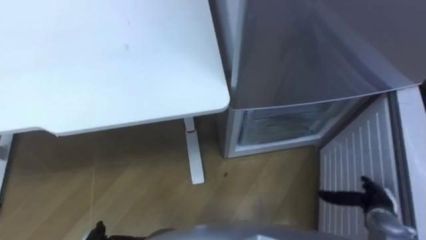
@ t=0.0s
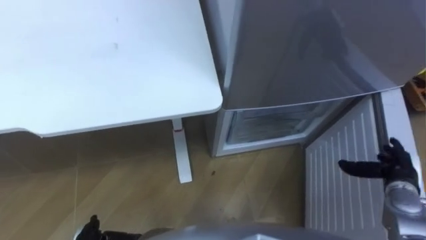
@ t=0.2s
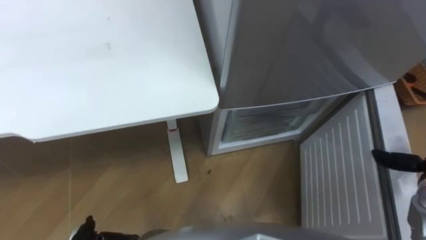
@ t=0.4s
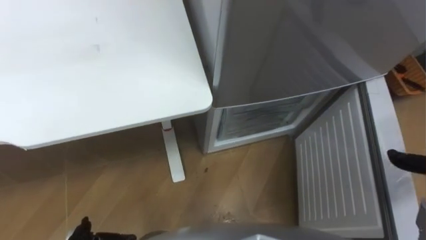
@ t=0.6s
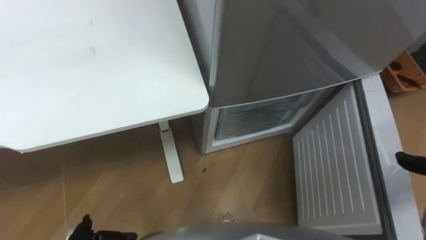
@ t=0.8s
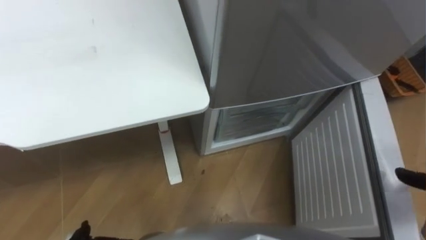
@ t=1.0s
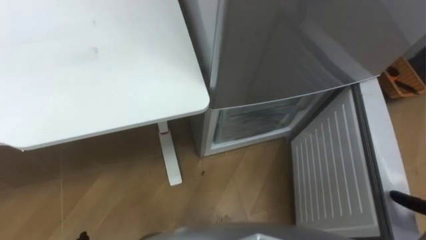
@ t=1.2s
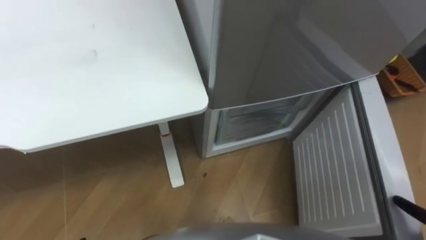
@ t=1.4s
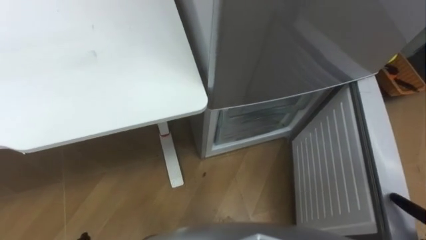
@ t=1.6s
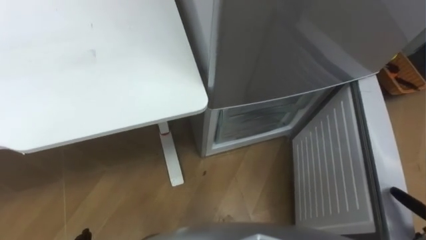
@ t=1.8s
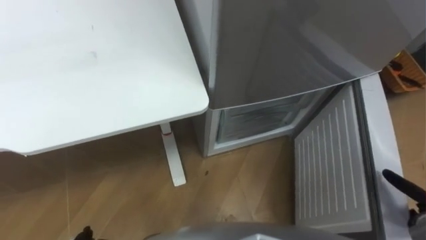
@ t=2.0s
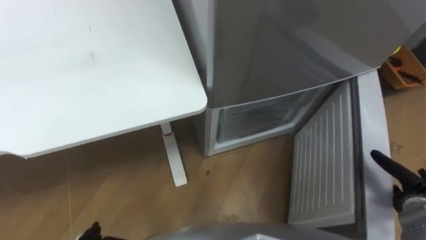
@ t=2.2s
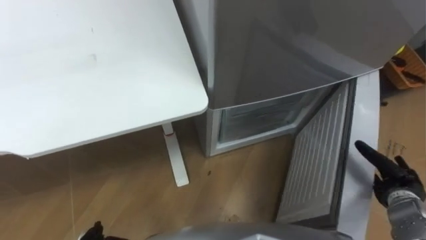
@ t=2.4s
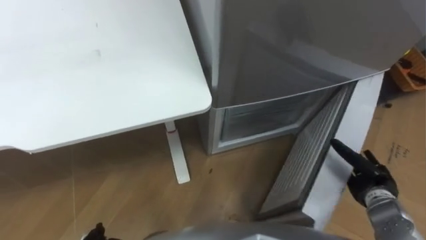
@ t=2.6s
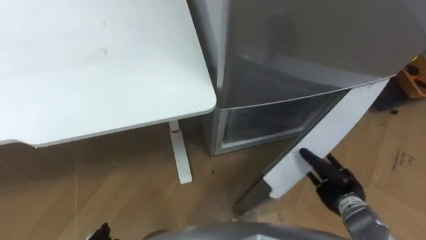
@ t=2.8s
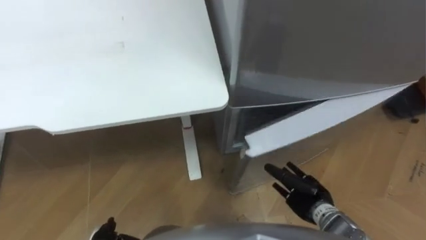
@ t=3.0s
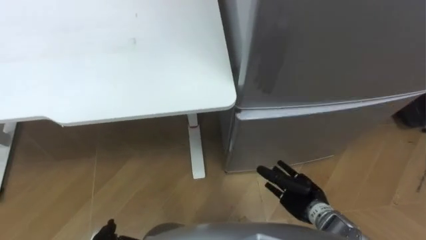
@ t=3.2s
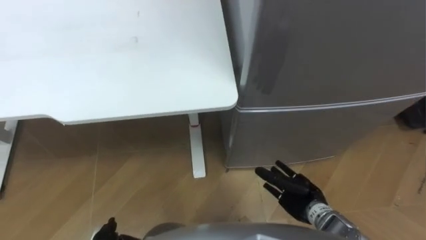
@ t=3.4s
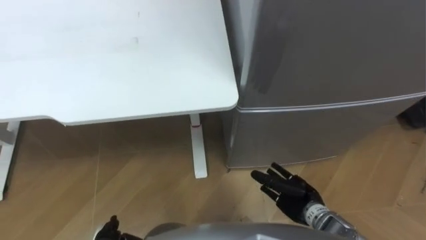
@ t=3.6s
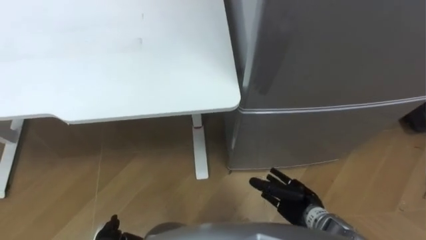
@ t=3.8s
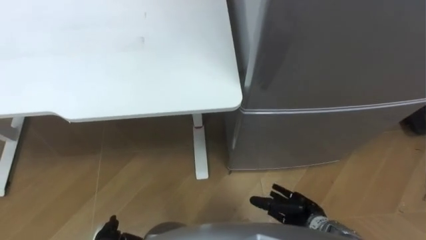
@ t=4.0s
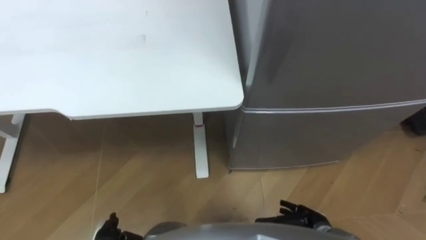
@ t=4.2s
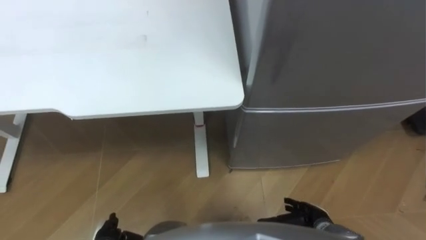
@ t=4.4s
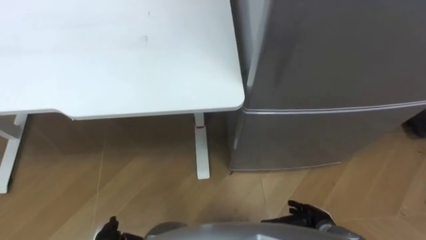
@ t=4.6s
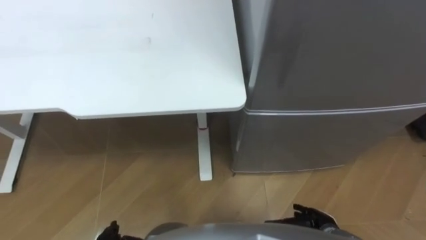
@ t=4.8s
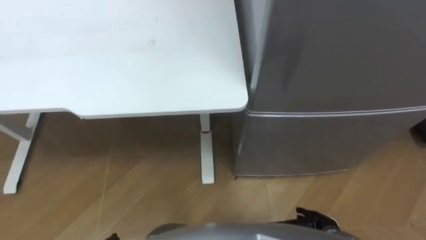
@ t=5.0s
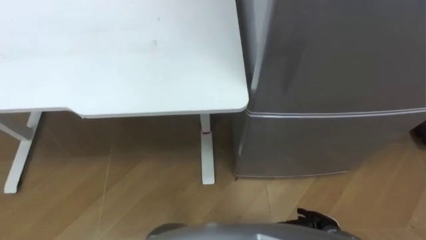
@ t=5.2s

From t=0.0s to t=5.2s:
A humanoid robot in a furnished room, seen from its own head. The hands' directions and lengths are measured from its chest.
Task of the whole recording: Place the drink on the table on the bottom shelf of the refrigerator, then close the drawer and the refrigerator door.
From t=1.8s to t=3.4s: The right hand is displaced to the left by approximately 25 cm.
From t=3.4s to t=5.2s: The right hand shifts approximately 5 cm backward.

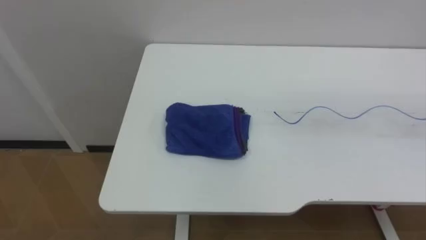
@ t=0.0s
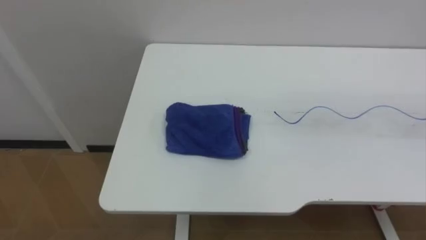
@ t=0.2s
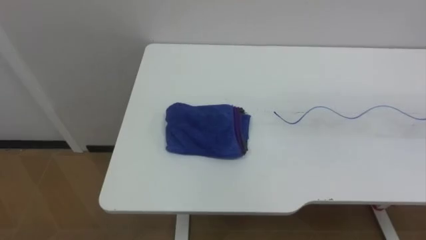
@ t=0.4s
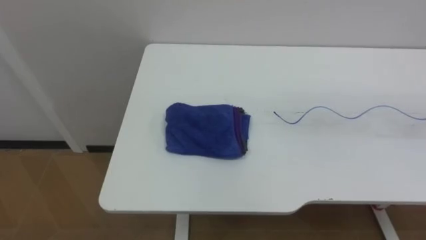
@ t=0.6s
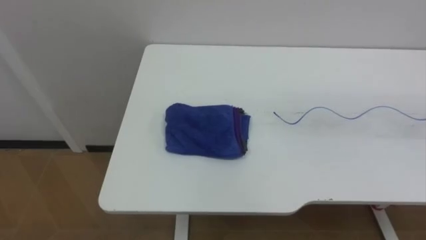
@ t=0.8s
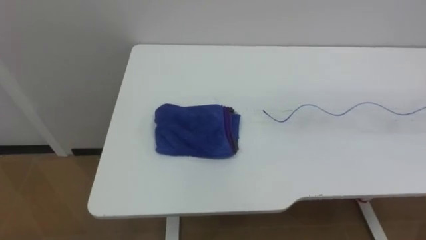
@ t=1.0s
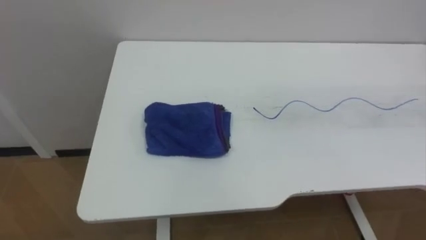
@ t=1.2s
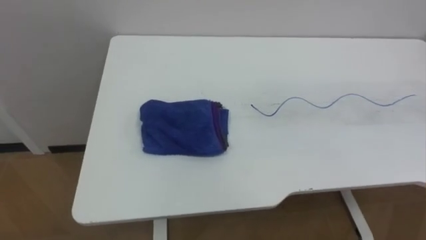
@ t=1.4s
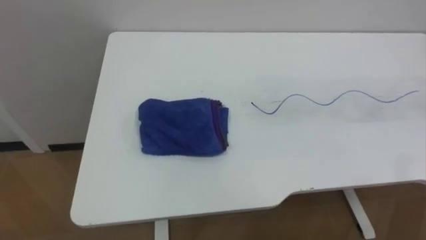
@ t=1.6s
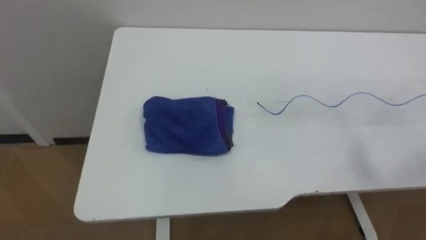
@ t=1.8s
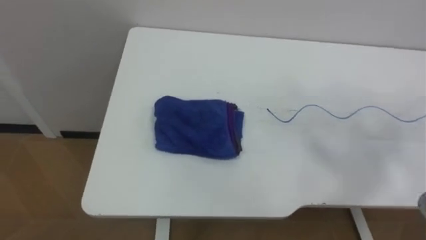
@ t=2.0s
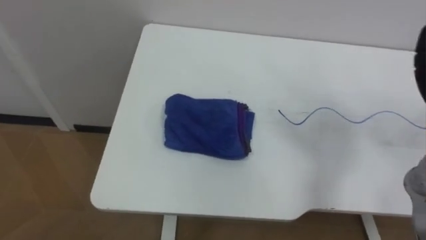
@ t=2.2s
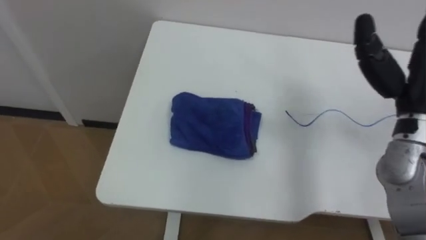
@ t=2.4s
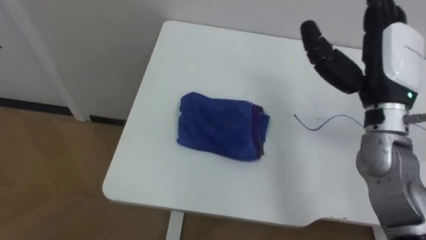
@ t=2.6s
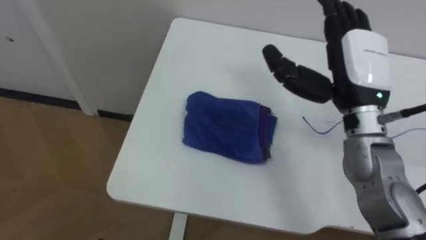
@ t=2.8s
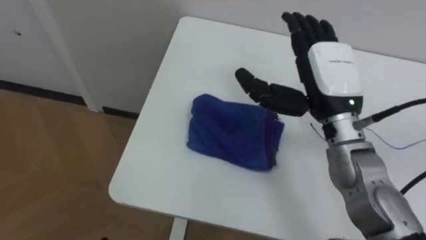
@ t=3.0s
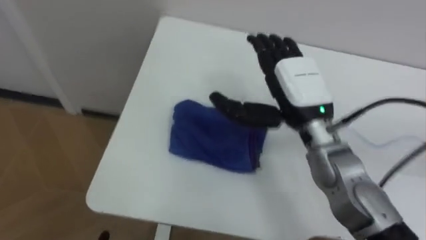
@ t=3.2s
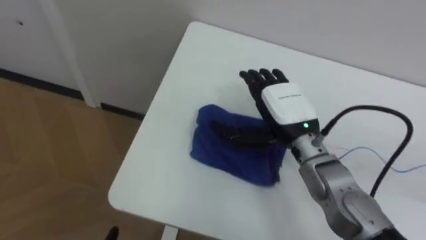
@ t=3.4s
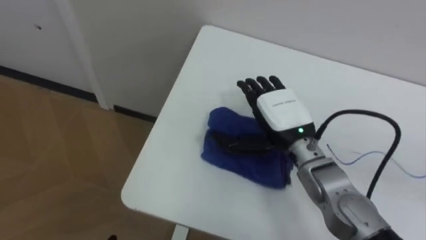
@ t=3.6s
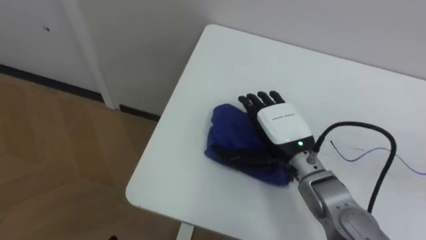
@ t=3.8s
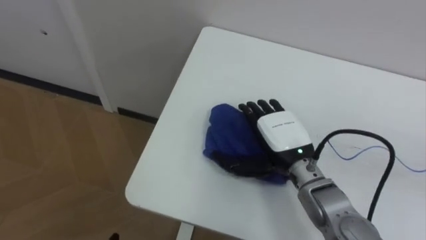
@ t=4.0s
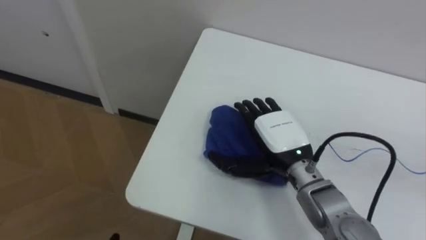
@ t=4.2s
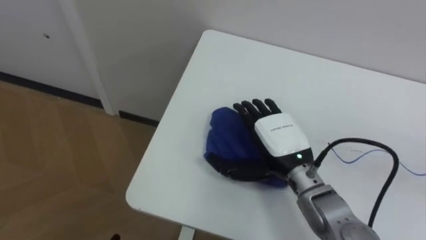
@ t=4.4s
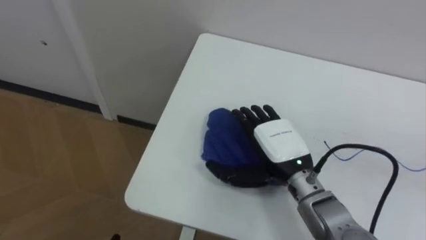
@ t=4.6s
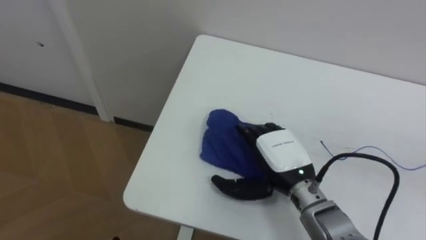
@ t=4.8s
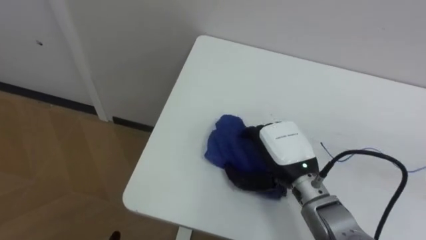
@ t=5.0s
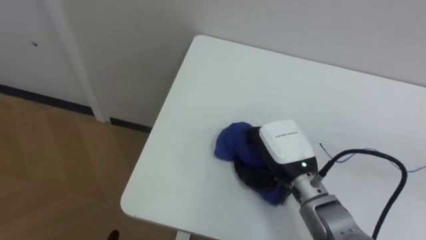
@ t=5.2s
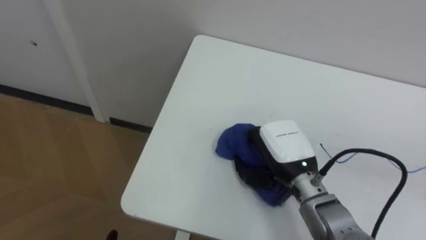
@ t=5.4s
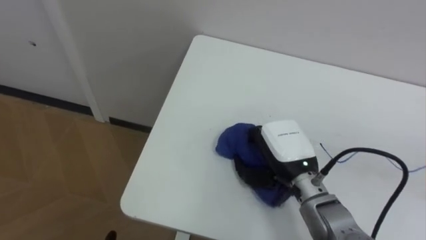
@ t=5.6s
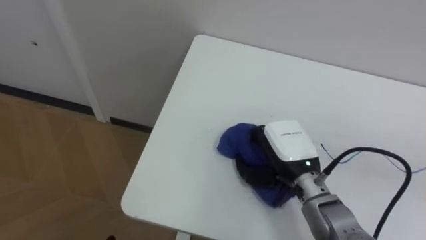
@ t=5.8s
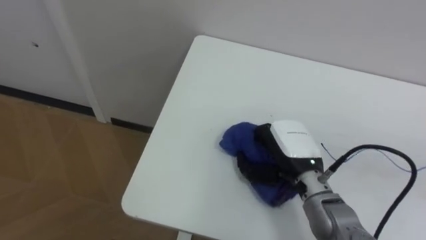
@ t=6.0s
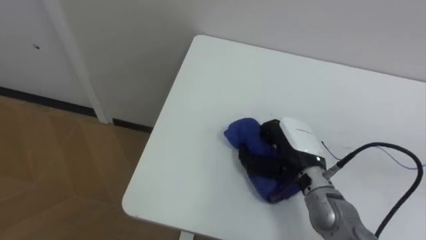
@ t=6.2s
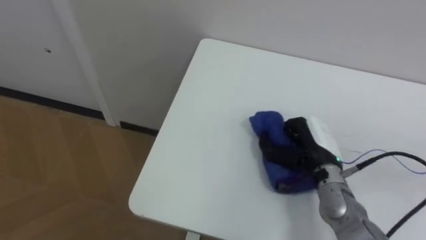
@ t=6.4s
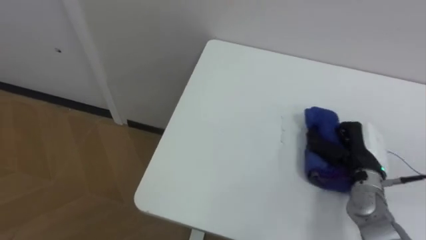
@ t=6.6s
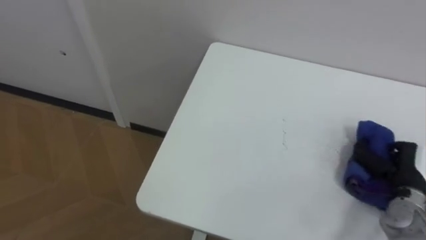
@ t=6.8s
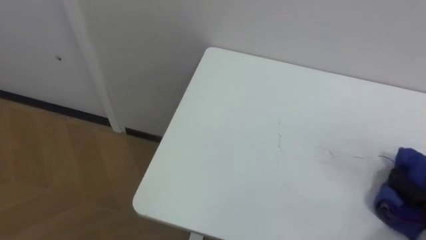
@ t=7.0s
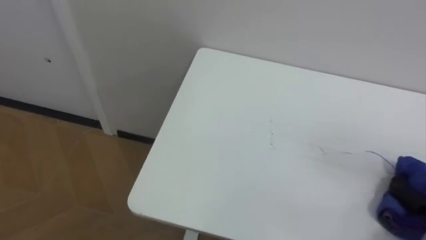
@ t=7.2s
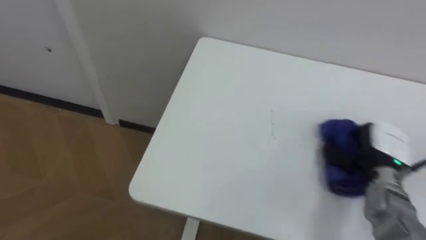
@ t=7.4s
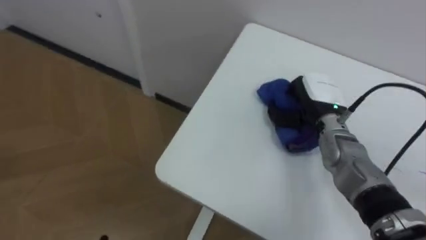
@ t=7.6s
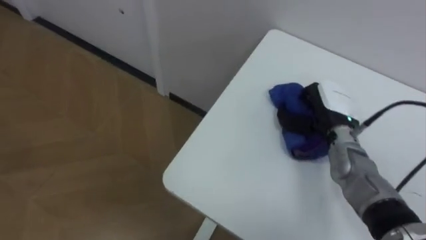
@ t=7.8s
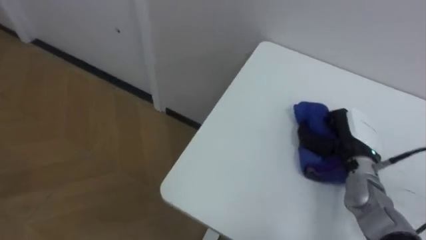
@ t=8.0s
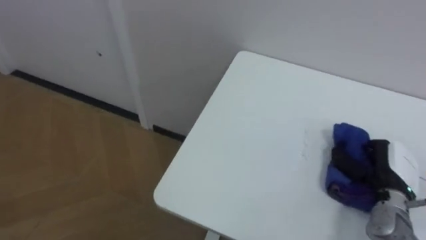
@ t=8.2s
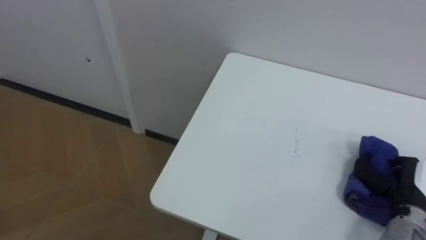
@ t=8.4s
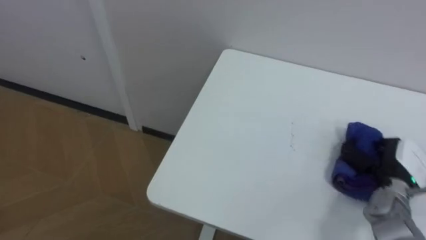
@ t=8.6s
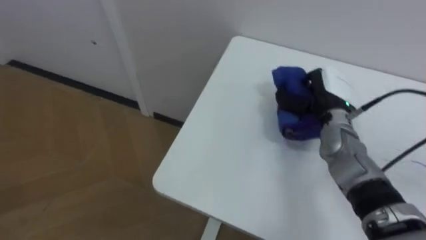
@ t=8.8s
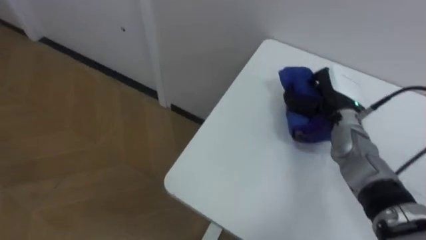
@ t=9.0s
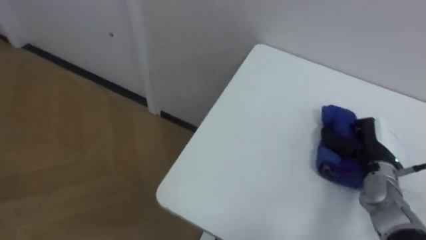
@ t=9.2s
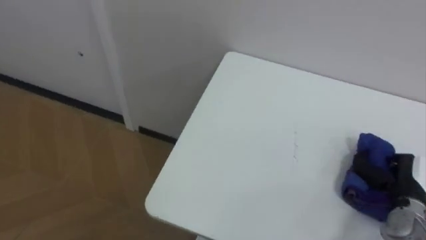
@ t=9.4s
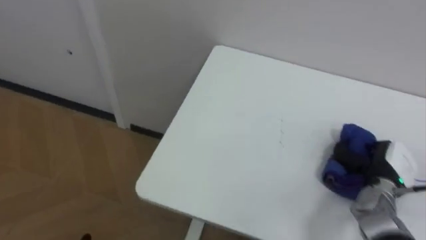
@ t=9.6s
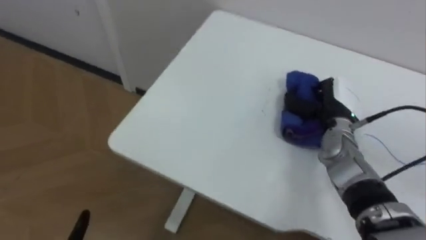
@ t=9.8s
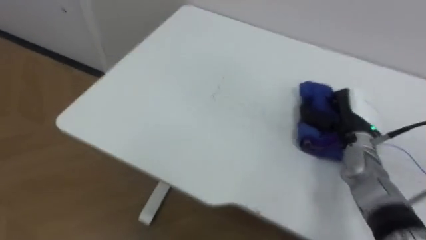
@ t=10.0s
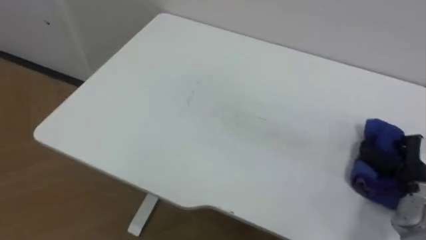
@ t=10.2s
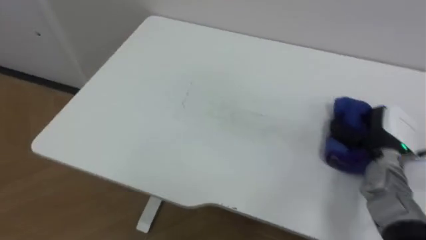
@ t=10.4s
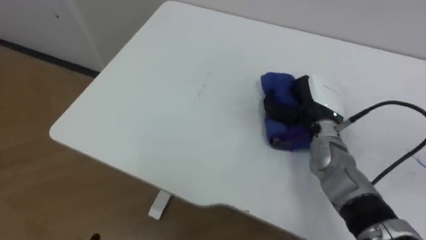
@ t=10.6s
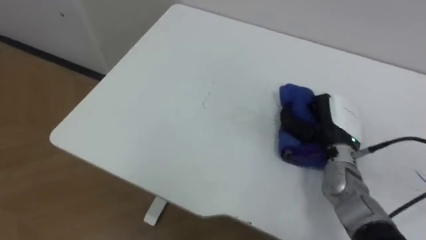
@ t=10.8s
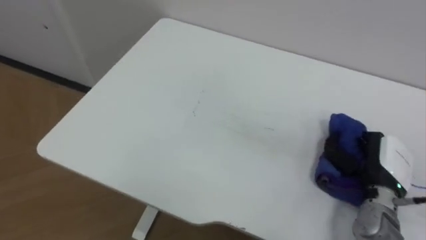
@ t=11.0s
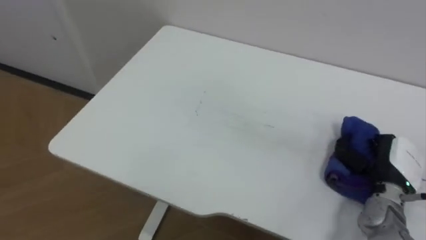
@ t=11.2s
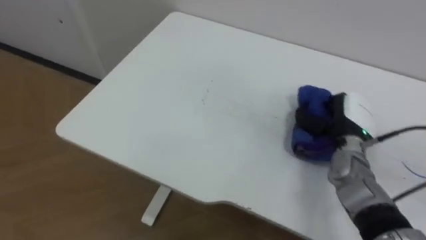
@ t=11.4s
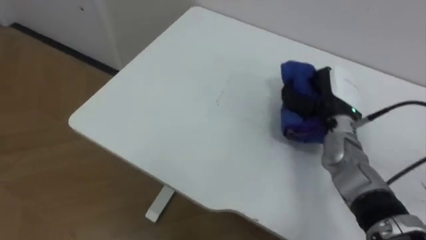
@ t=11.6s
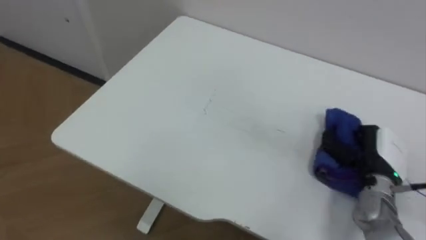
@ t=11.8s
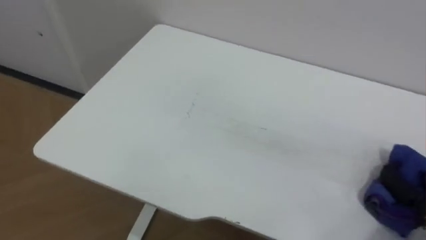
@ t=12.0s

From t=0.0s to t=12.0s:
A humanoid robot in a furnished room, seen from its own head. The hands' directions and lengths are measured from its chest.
Task of the whole recording: Wipe the blue pen marks off the table with the rag.
From t=3.0s to t=4.4s: The right hand moves downward and to the left, about 15 cm.
From t=4.4s to t=6.0s: The right hand closes.
From t=7.6s to t=9.0s: The right hand reaches approximately 15 cm backward, then returns.
From t=9.0s to t=10.4s: The right hand moves forward and backward over roughly 15 cm, changing direction 2 times.
From t=10.4s to t=12.0s: The right hand moves left and right over roughly 20 cm, changing direction 3 times.
